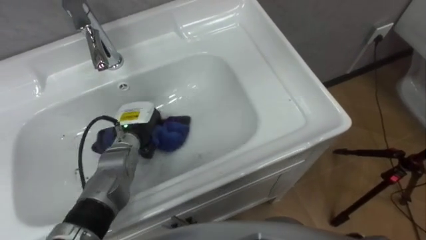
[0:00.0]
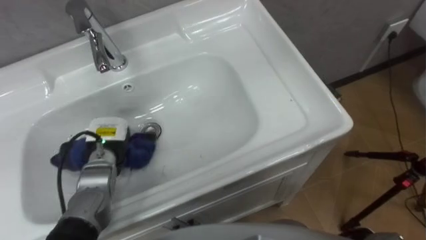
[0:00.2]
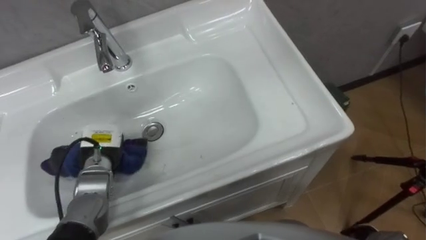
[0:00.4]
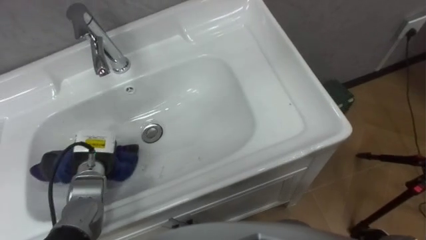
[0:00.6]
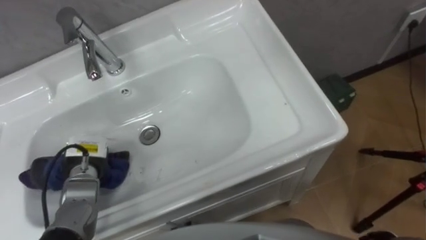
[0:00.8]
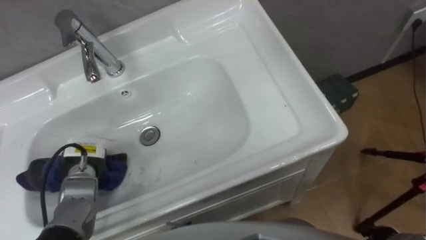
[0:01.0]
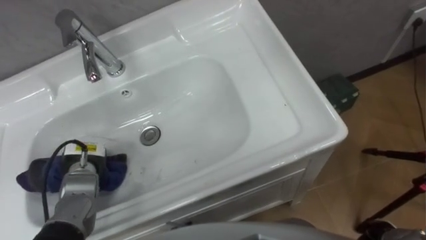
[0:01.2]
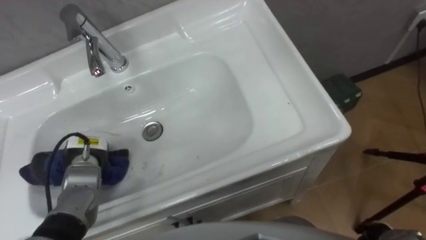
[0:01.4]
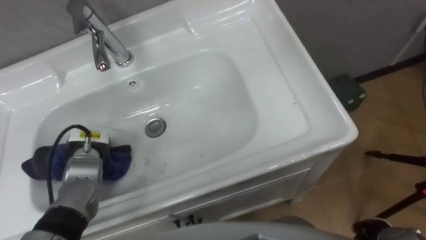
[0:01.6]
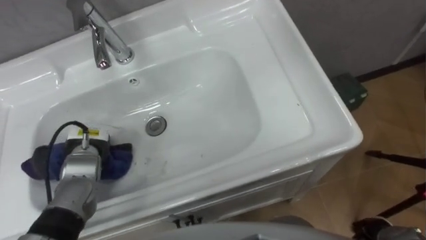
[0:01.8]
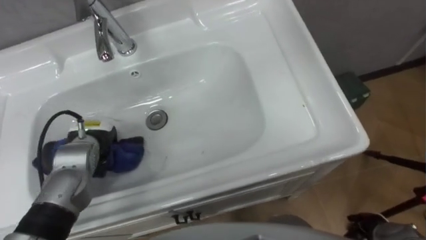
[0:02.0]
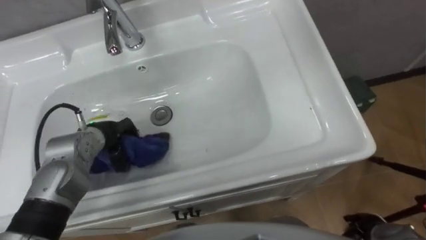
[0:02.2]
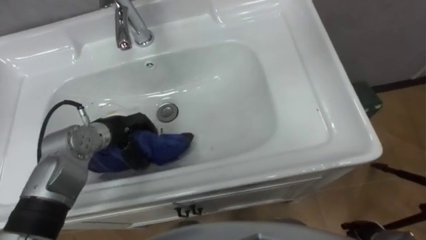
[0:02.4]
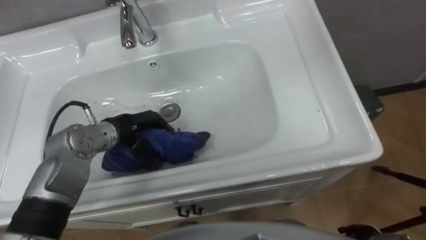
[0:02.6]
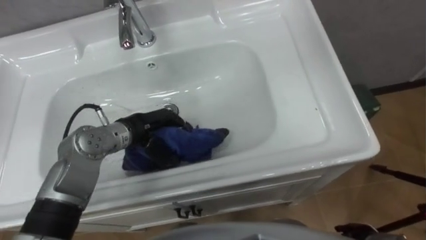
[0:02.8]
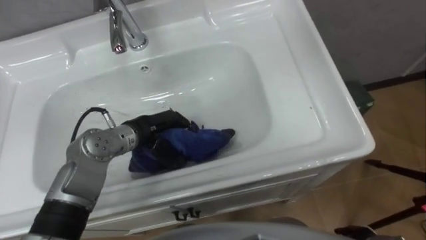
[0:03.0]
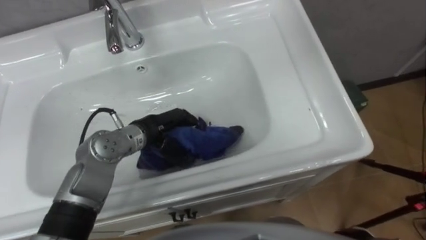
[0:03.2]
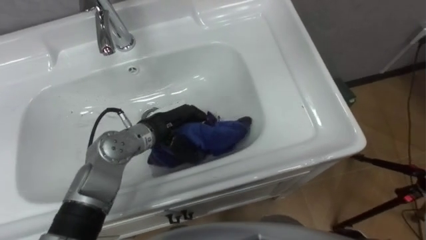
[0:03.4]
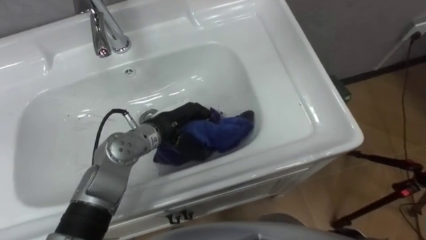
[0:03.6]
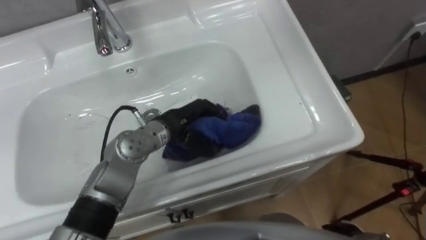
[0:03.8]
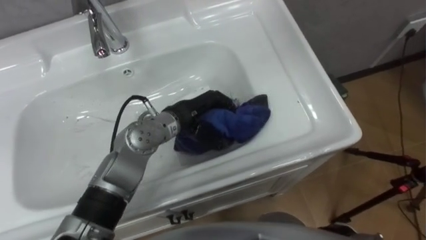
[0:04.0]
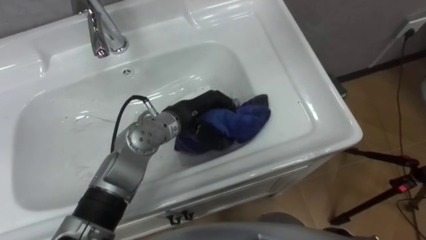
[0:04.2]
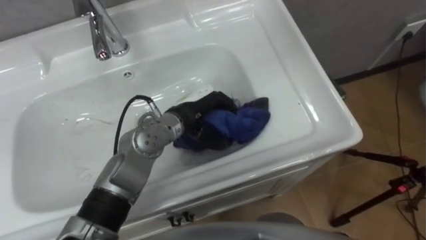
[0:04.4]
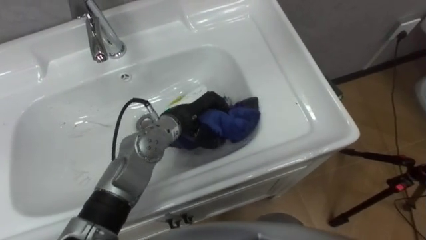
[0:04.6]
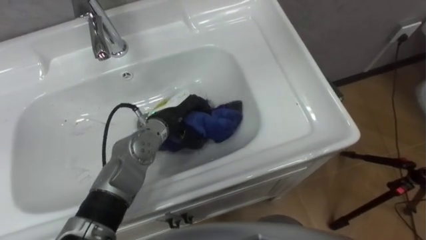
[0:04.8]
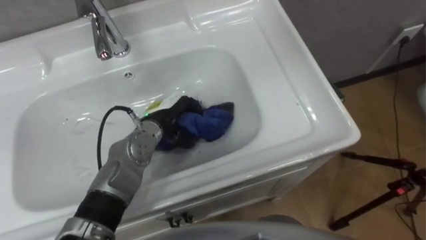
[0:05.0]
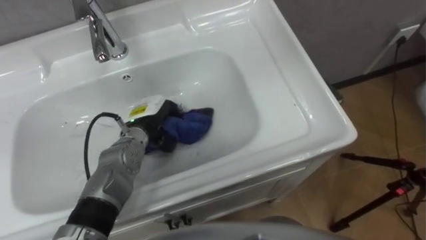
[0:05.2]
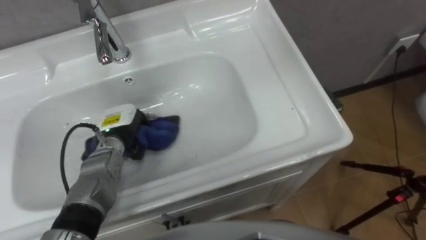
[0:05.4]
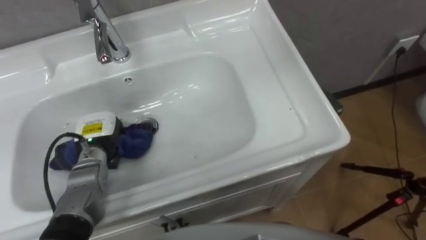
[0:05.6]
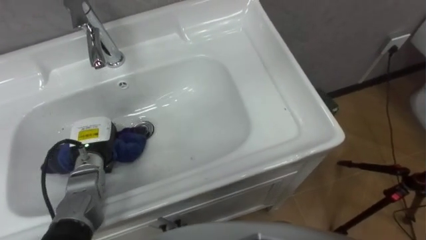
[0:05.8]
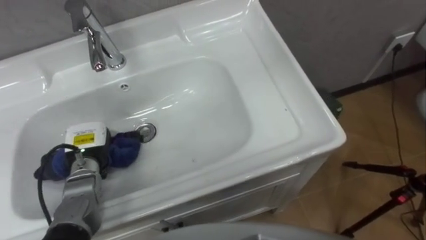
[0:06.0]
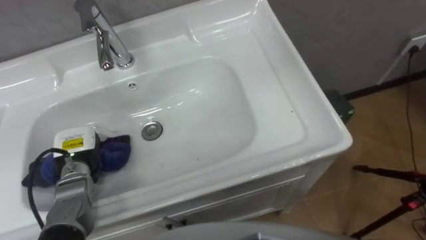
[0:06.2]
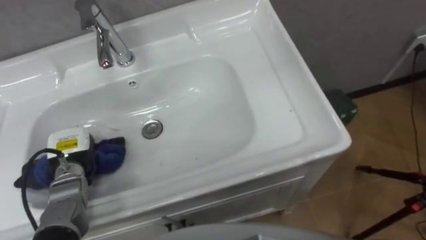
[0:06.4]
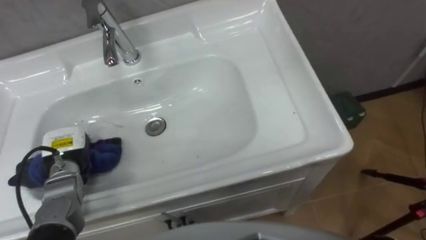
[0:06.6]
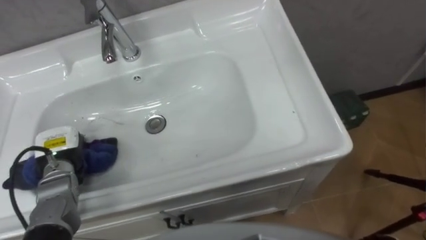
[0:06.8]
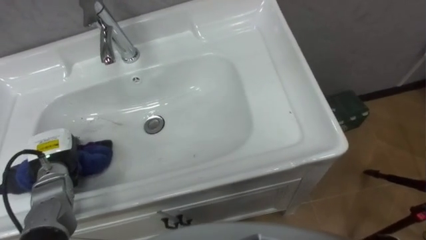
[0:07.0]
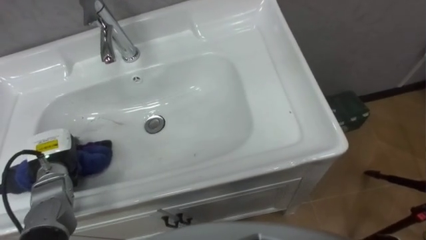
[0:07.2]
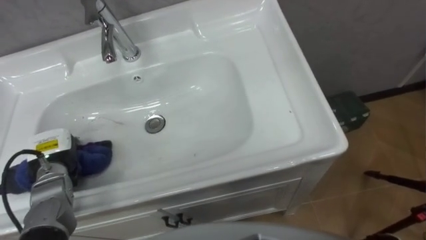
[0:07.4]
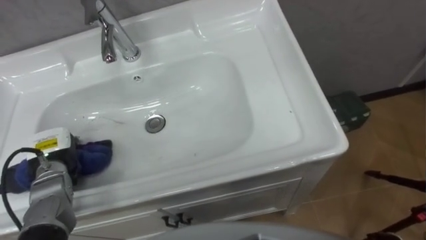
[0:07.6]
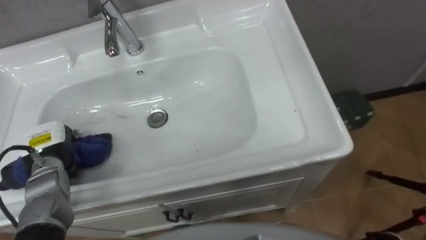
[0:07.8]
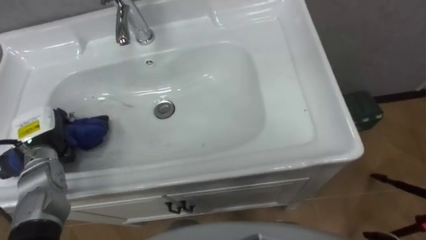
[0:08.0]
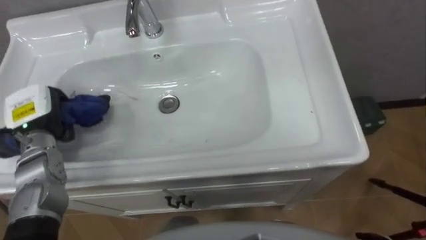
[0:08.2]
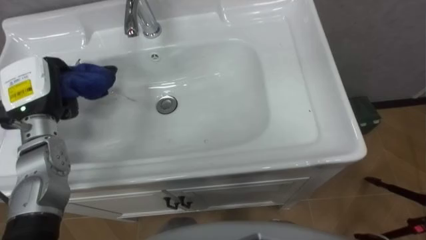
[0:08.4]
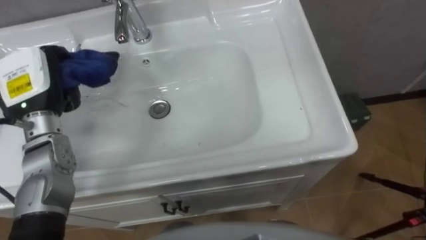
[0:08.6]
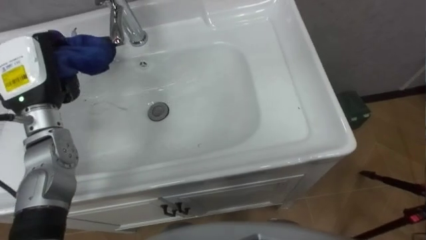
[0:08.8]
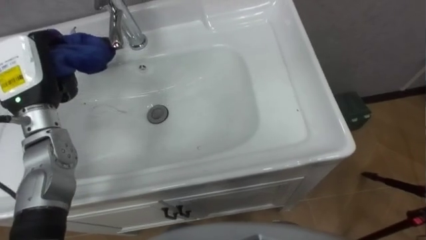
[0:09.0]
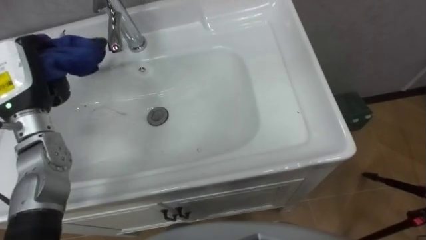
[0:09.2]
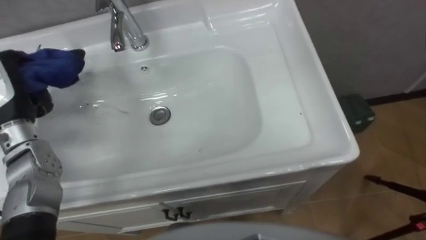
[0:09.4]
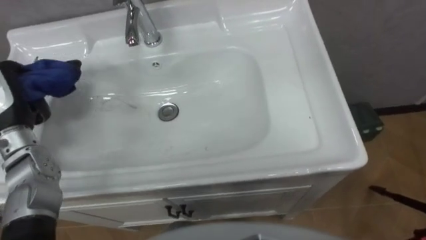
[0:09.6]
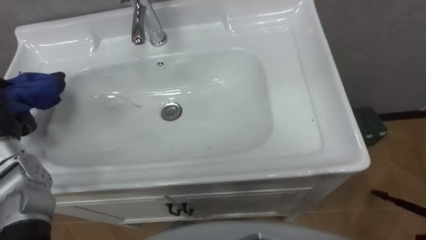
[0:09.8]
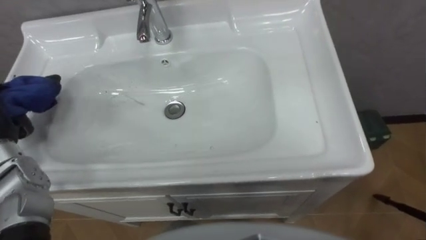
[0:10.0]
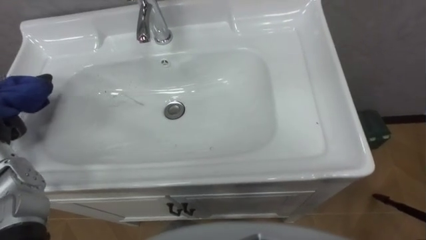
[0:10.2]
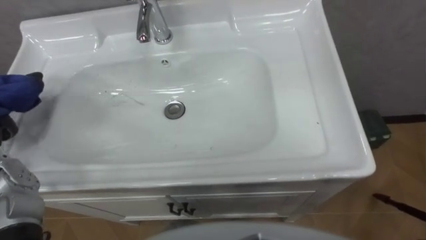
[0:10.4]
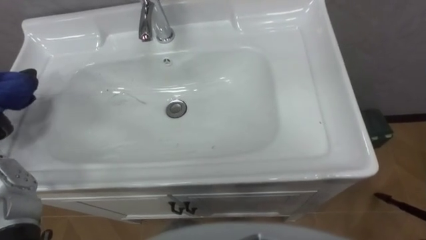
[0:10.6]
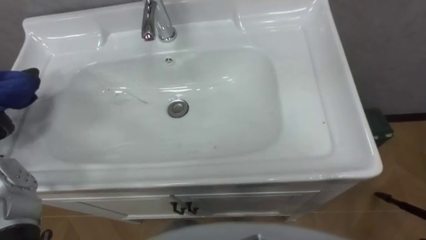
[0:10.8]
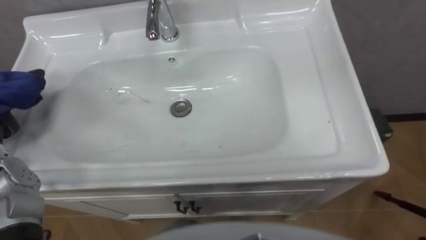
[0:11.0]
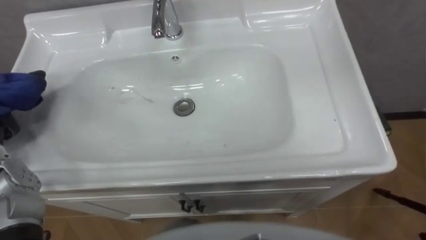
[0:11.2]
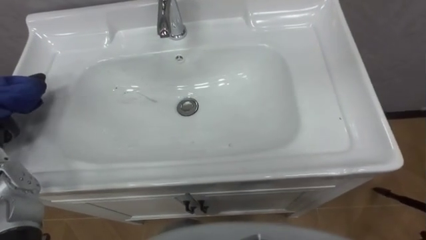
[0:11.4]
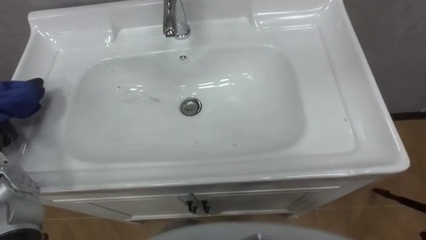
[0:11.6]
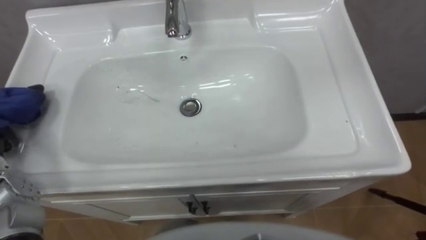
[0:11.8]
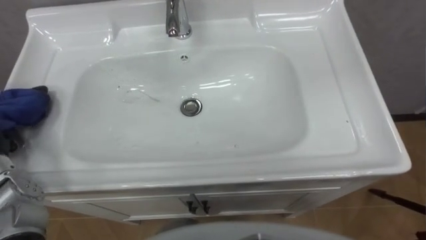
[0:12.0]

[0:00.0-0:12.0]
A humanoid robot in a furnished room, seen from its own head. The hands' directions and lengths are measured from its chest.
Task of the whole recording: Use the cloth on the right to wipe away the black stain in the sink.
0:00.0 to 0:01.6: The left hand travels to the left by about 10 cm.
0:01.6 to 0:03.0: The left hand shifts some 15 cm to the right and upward.
0:03.0 to 0:04.4: The left hand moves to the right, approximately 10 cm.
0:04.4 to 0:06.0: The left hand travels to the left by roughly 25 cm.
0:06.0 to 0:07.6: The left hand is displaced to the left by about 5 cm.
0:07.6 to 0:09.0: The left hand goes some 20 cm upward and forward.

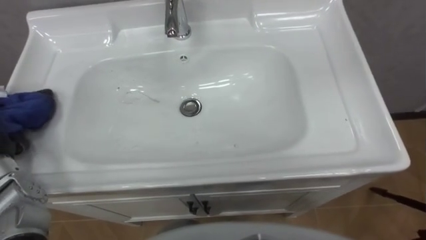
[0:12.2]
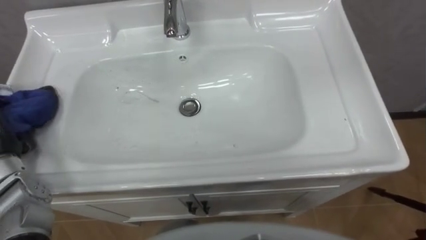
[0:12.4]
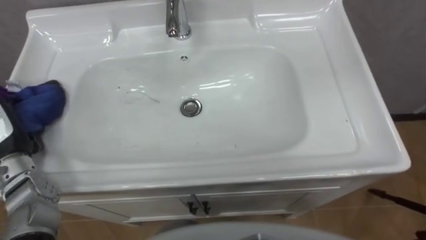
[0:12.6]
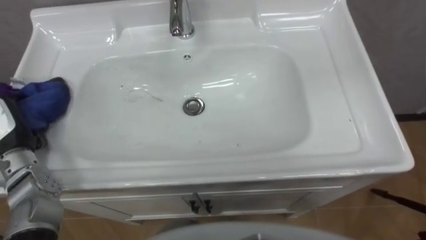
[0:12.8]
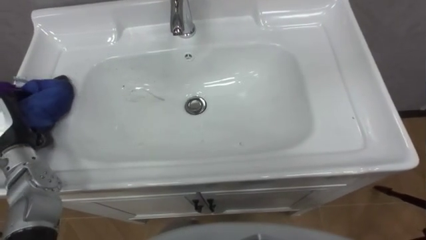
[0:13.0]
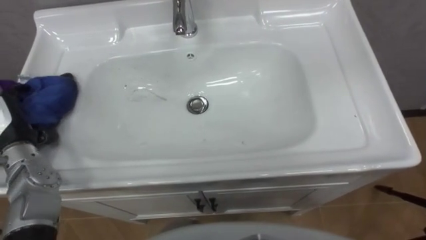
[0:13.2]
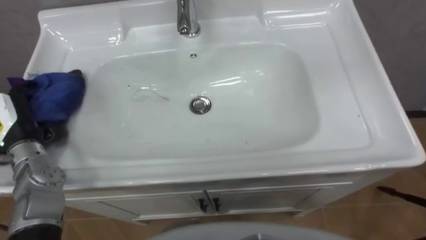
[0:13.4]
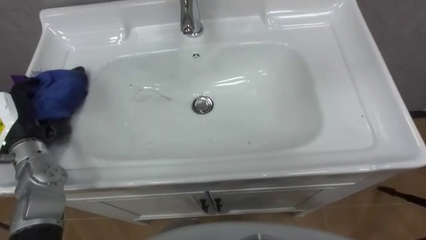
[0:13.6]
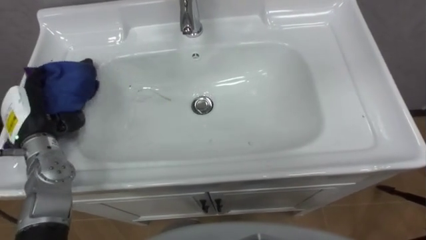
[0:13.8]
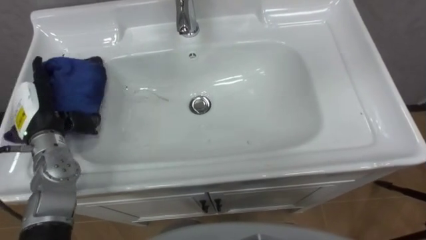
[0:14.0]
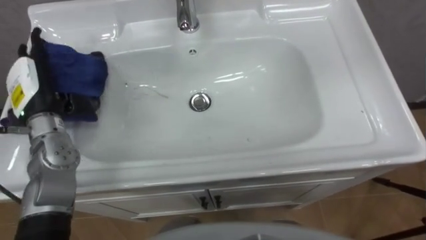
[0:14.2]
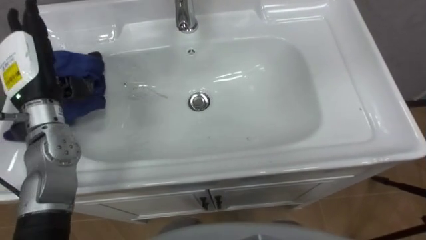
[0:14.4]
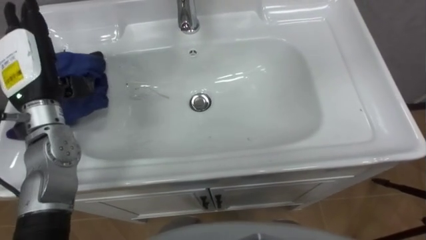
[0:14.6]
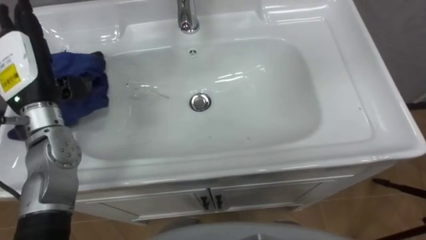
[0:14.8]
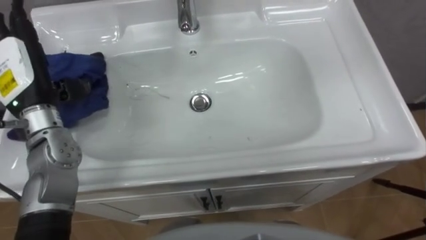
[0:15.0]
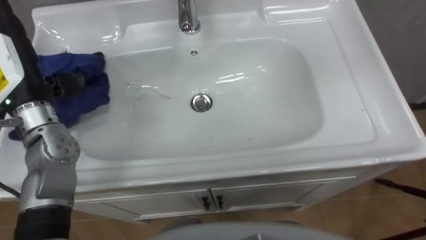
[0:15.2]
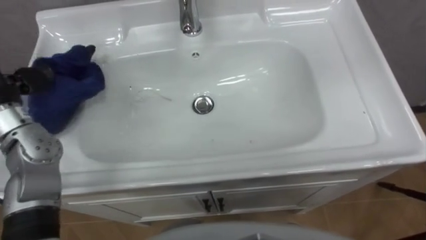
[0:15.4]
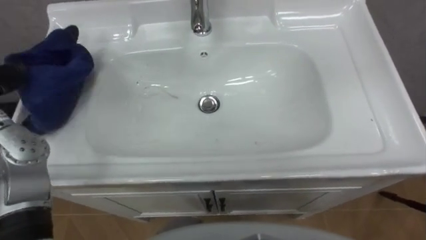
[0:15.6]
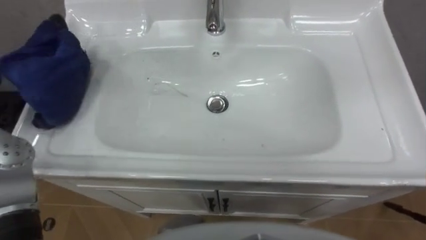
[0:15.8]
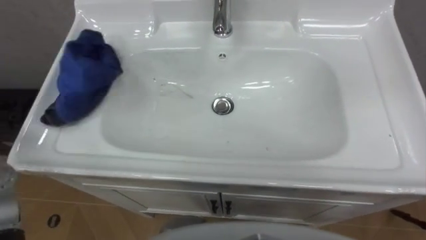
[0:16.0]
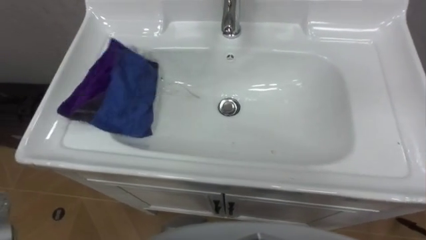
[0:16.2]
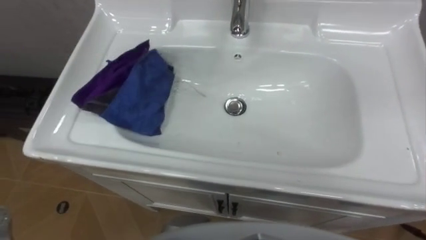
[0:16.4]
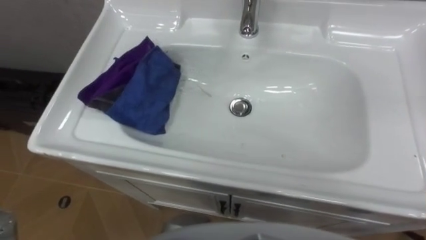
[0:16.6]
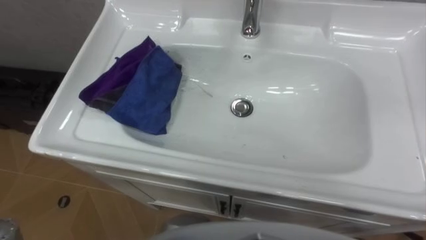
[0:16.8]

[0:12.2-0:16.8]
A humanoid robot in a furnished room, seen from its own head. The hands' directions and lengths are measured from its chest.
Task of the whole recording: Use the cloth on the right to wipe away the black stain in the sink.
0:13.8 to 0:15.2: The left hand moves upward, approximately 10 cm.
